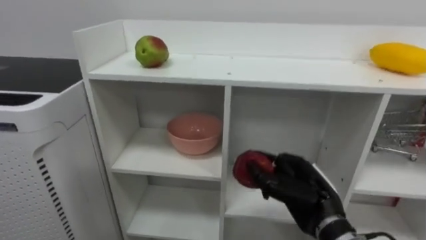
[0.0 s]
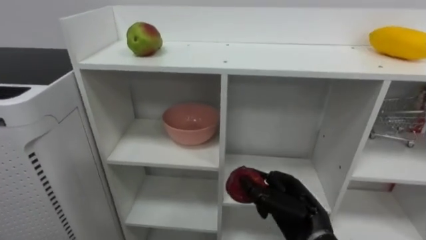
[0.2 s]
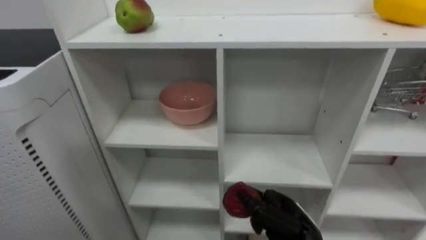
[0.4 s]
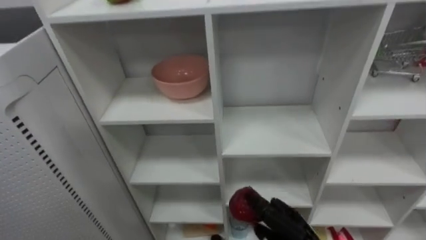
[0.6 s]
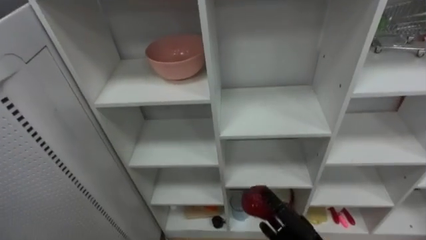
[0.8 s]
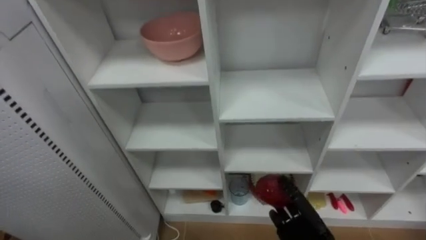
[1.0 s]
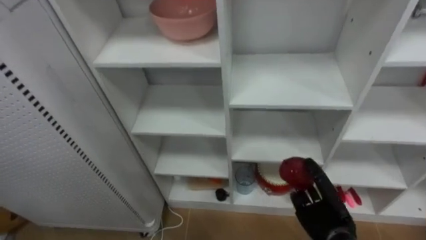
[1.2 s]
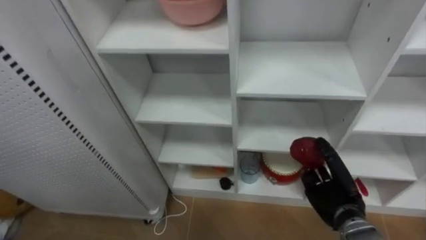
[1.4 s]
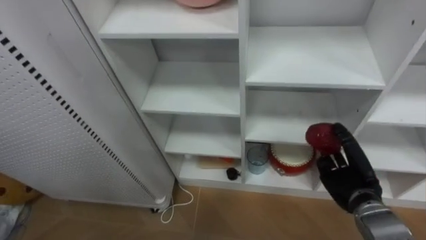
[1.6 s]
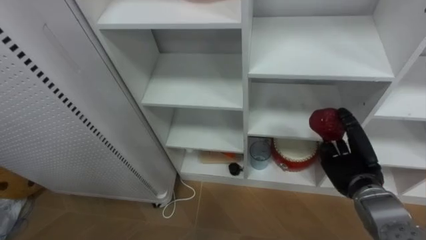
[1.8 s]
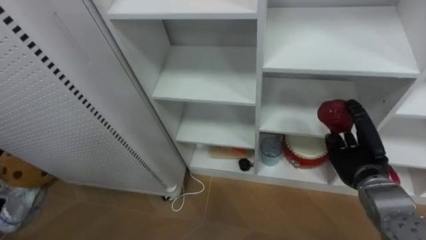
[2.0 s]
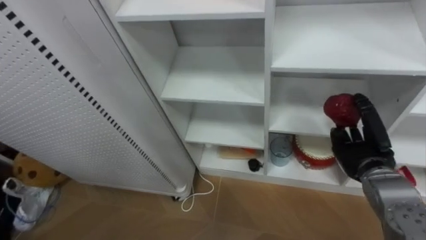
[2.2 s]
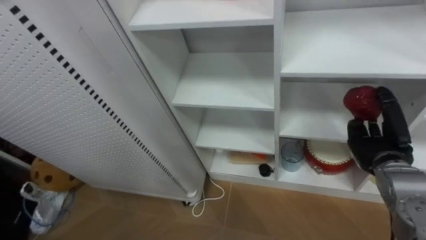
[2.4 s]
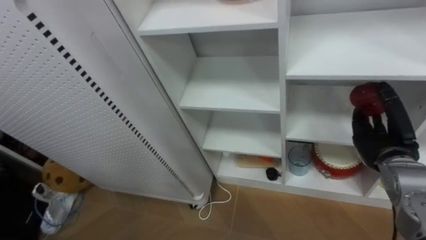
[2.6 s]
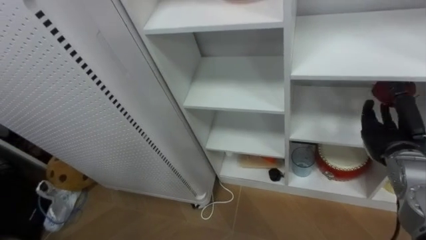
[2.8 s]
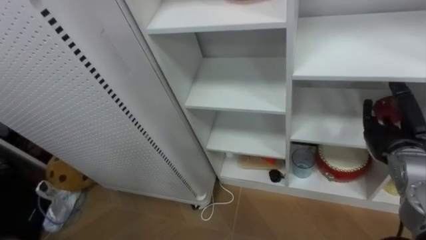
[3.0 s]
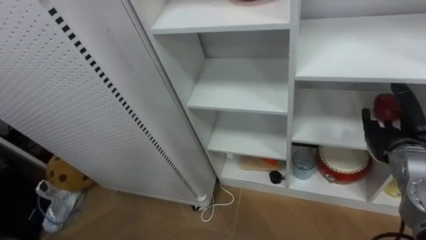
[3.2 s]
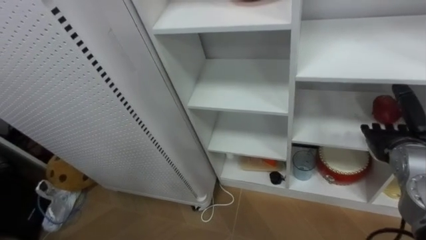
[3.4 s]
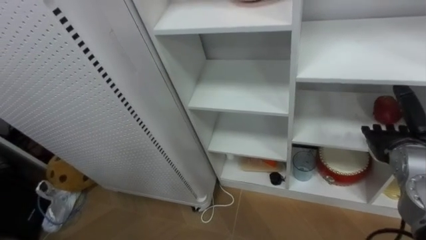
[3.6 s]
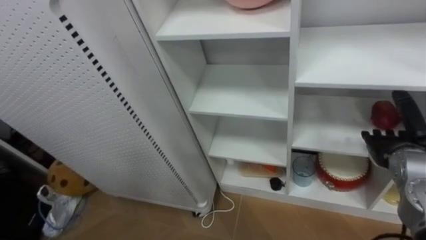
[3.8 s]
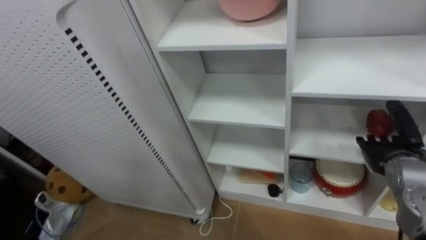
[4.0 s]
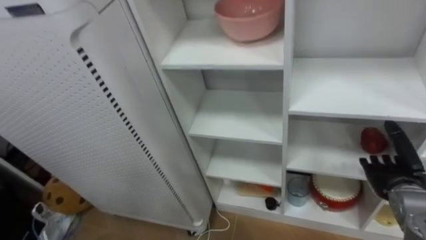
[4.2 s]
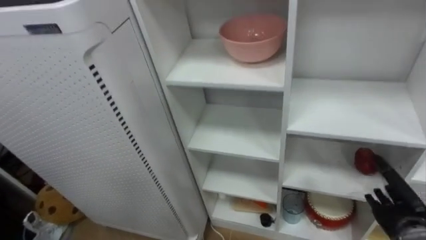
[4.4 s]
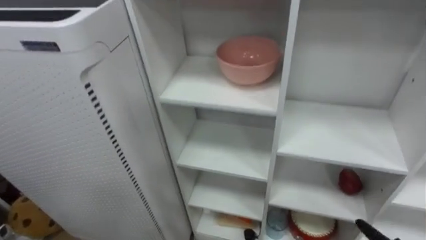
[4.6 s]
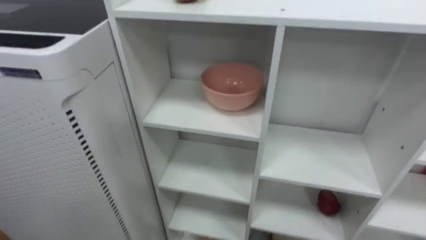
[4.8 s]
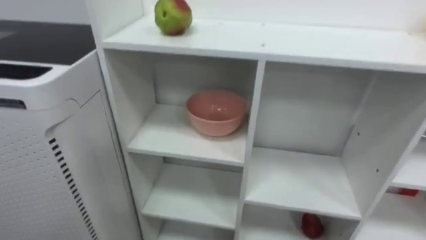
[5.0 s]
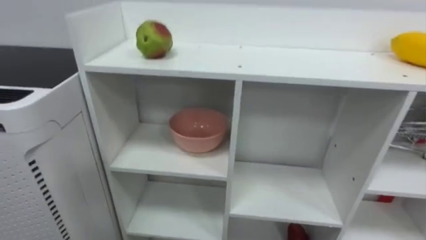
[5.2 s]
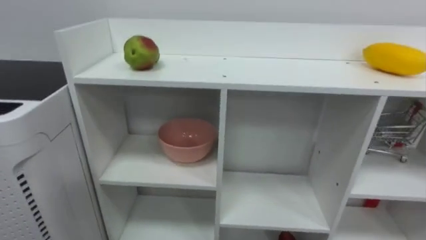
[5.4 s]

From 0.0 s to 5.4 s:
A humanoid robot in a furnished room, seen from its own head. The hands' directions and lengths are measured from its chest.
Task of the whole recording: Put the apple in the cell in the second column from the left and the second row from the top.
From 1.4 s to 2.8 s: The right hand goes some 15 cm upward and to the right.
From 2.8 s to 4.0 s: The right hand opens up.
